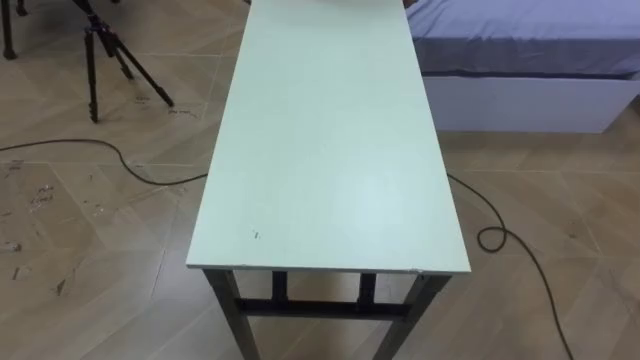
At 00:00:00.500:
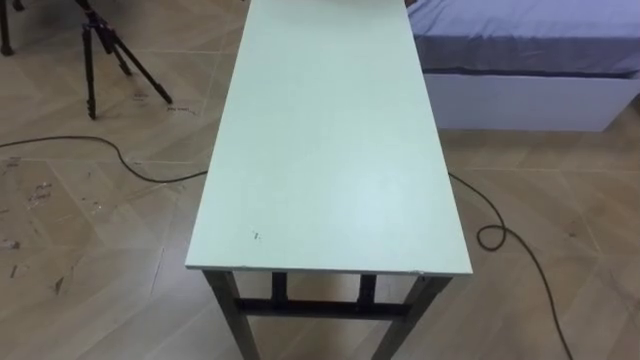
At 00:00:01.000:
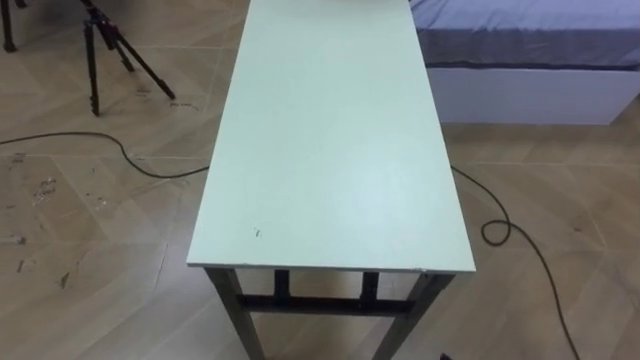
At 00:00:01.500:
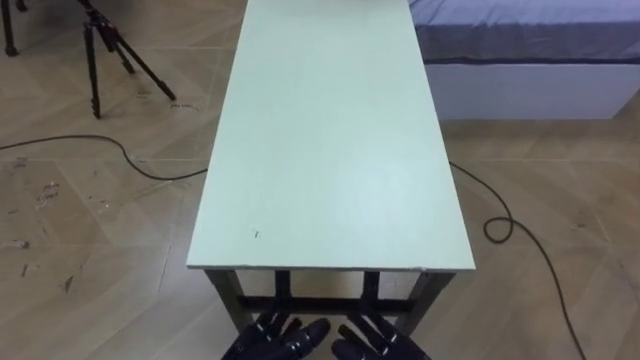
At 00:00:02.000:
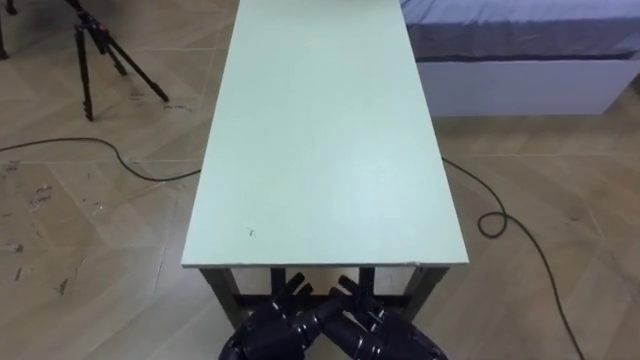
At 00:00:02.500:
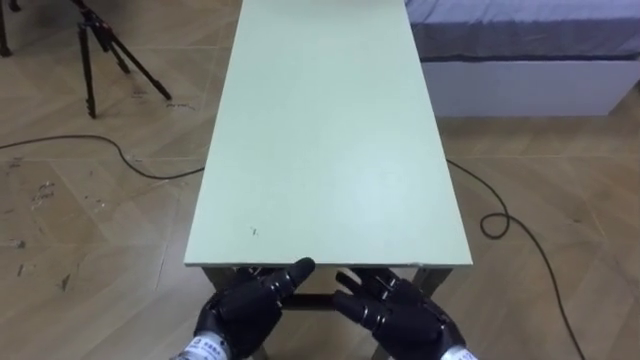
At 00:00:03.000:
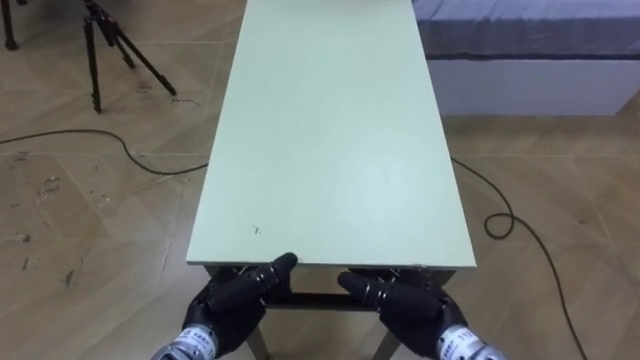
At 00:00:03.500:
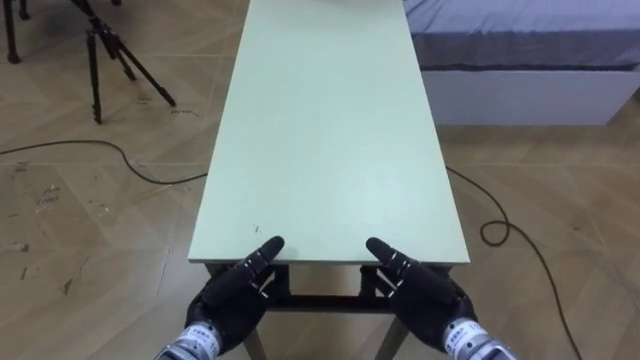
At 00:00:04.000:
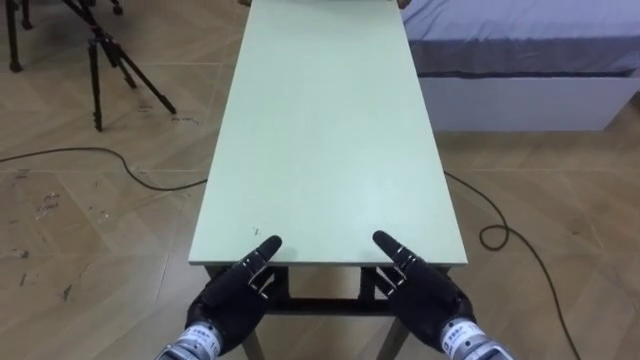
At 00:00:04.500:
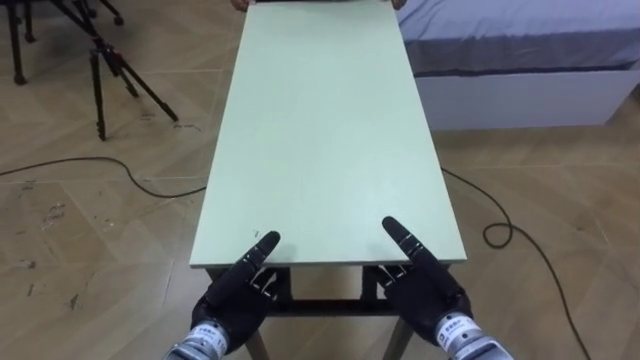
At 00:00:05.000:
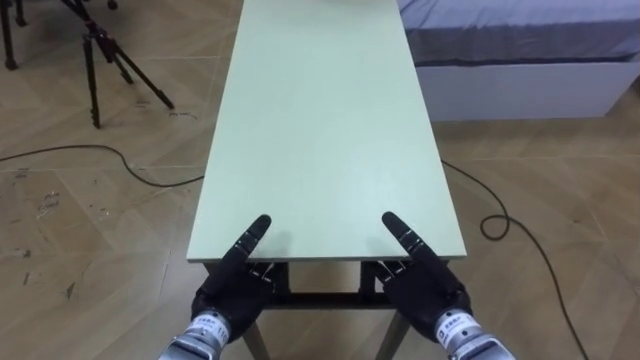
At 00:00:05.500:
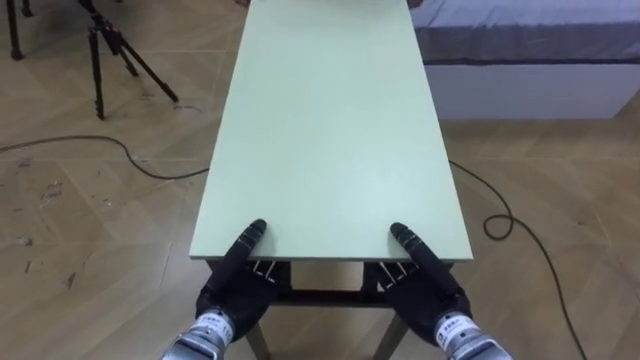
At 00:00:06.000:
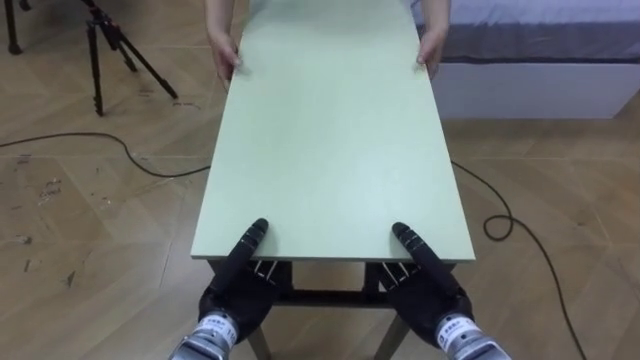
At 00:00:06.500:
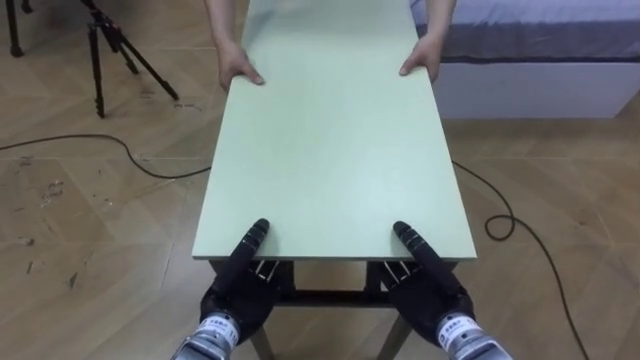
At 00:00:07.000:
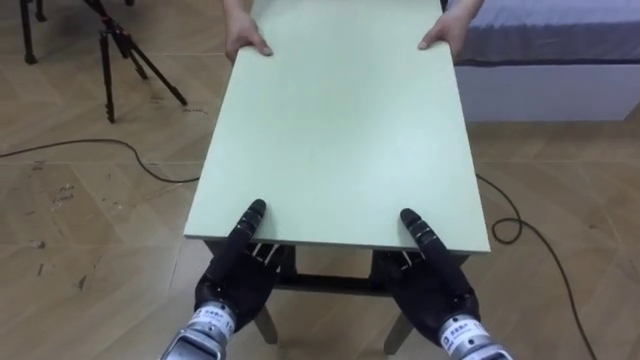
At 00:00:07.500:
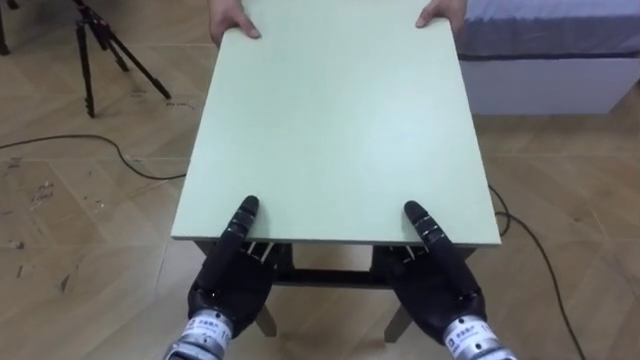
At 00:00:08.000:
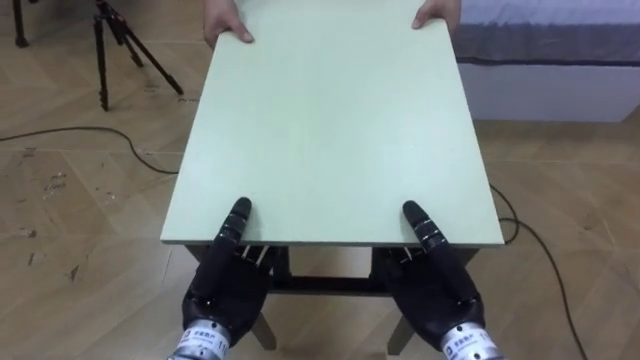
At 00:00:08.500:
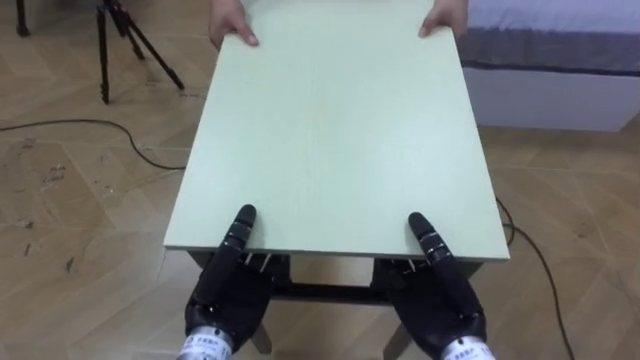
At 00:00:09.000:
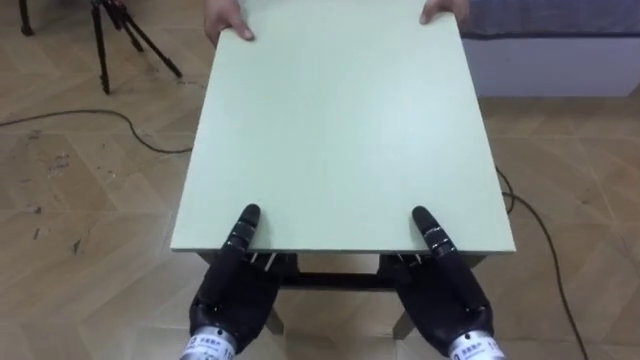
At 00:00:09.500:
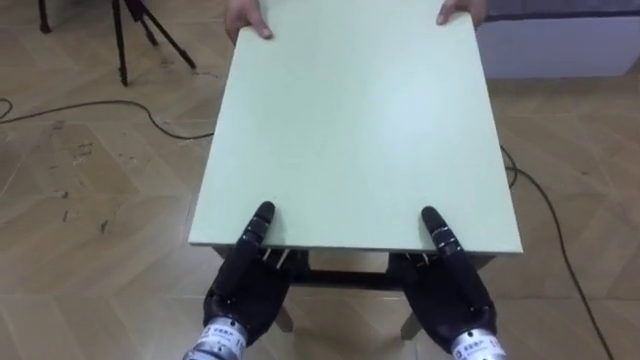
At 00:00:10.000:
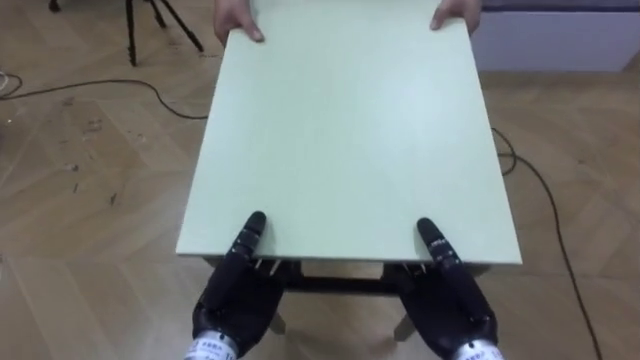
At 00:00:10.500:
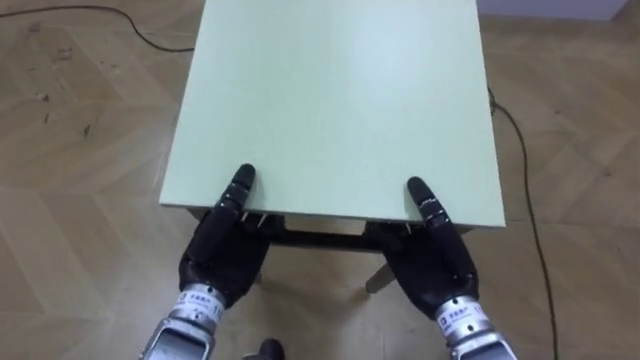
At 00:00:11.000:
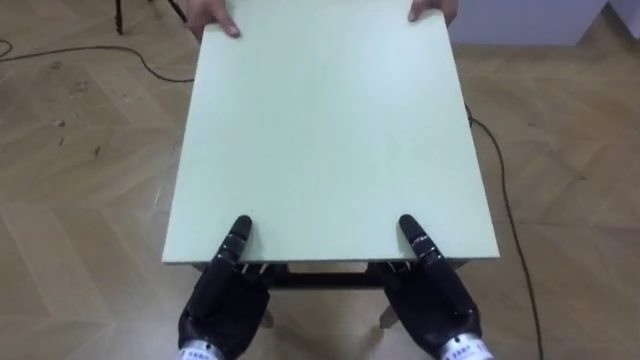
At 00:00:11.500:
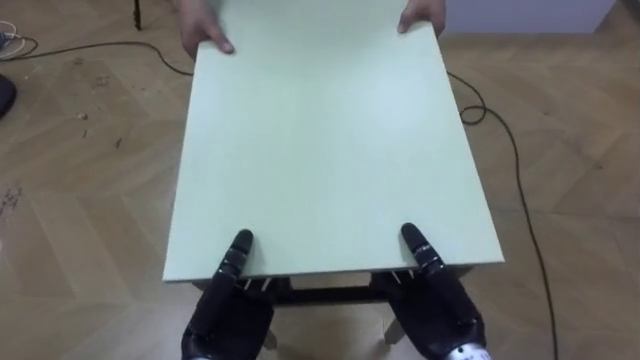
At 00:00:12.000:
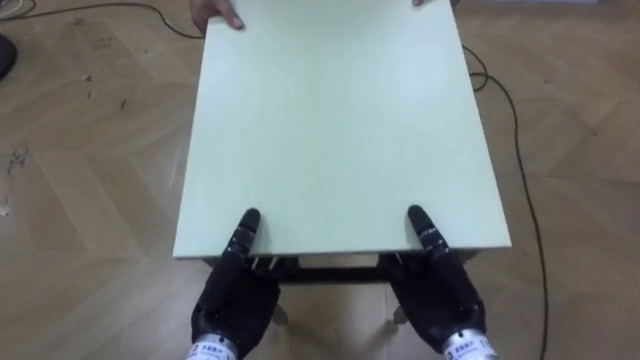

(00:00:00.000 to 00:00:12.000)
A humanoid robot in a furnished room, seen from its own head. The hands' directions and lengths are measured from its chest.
Task of the whole recording: Move the table to the back left with someone.
00:00:02.000 - 00:00:04.000: The right hand goes about 5 cm forward; the left hand is displaced forward and to the left by about 10 cm.
00:00:04.000 - 00:00:06.000: The left hand closes up, while the right hand closes up.
00:00:06.000 - 00:00:08.000: The two hands go about 5 cm upward.

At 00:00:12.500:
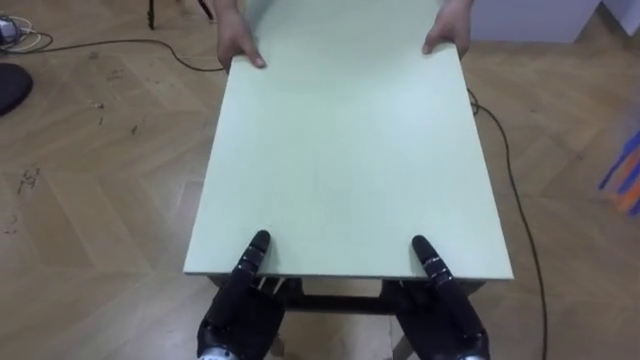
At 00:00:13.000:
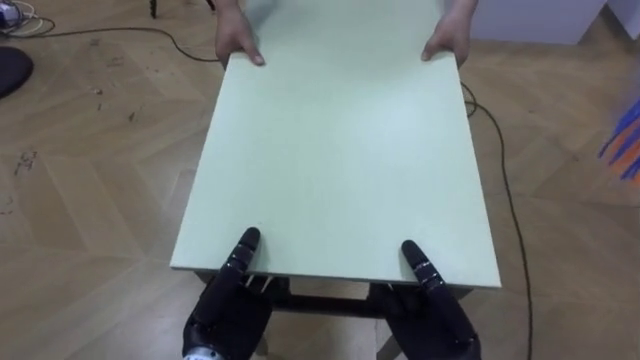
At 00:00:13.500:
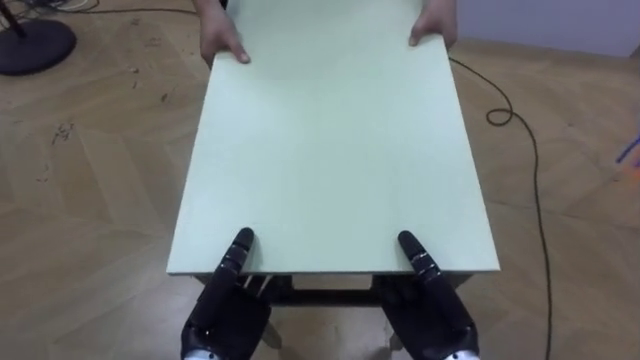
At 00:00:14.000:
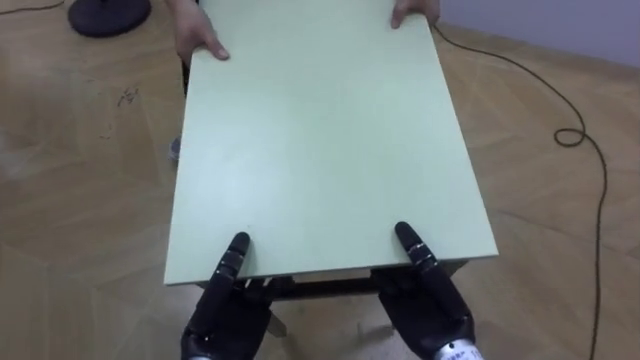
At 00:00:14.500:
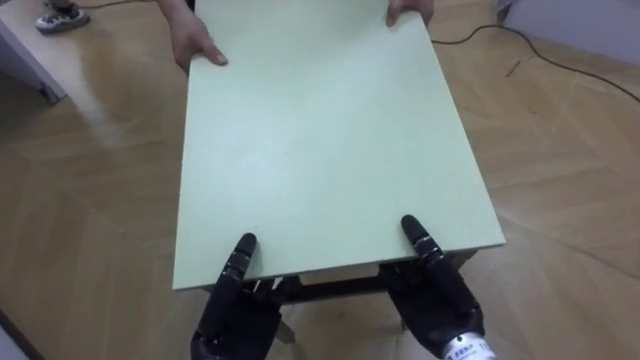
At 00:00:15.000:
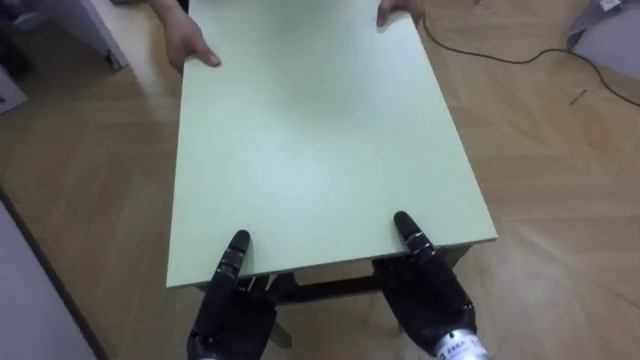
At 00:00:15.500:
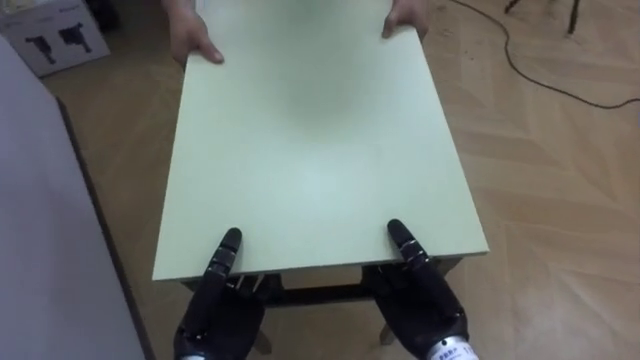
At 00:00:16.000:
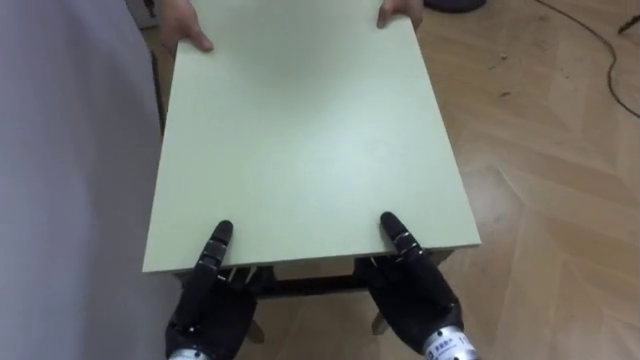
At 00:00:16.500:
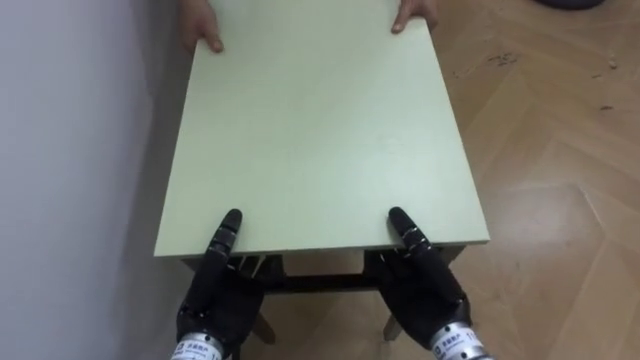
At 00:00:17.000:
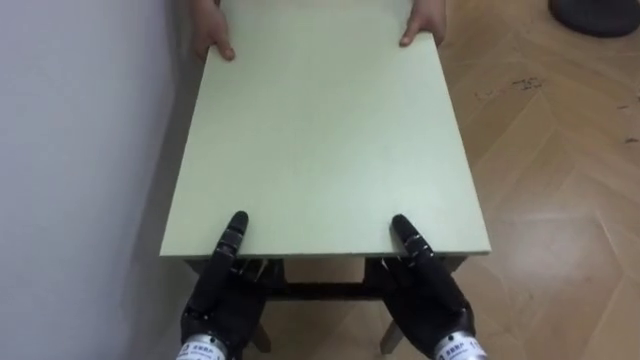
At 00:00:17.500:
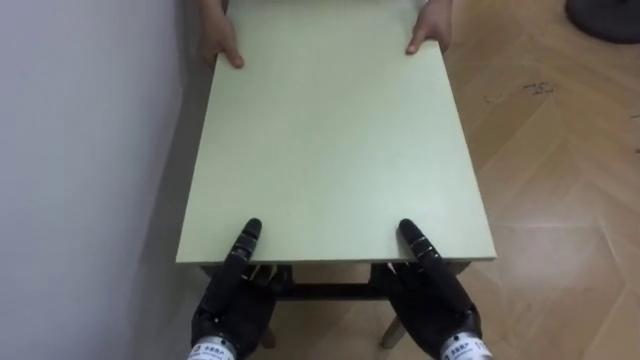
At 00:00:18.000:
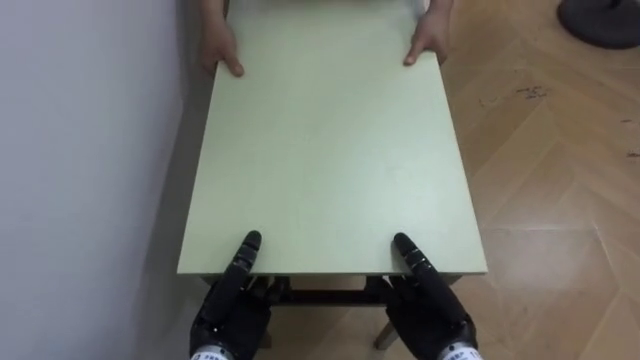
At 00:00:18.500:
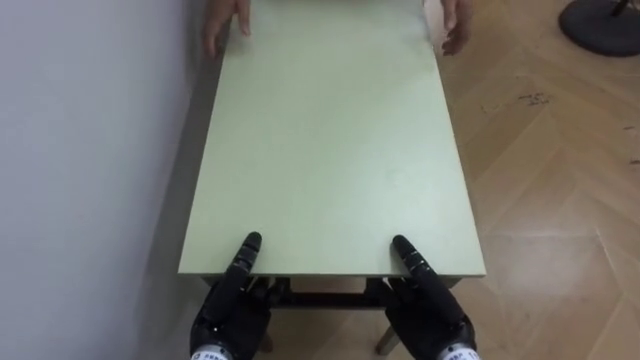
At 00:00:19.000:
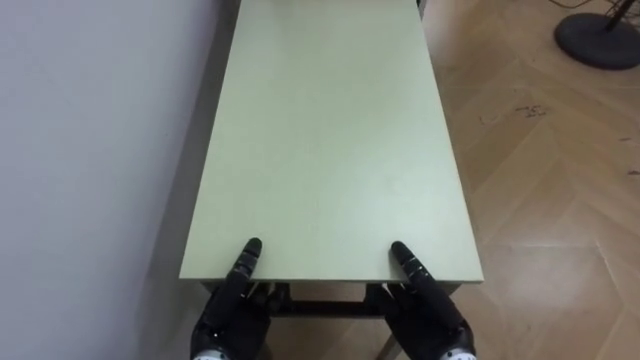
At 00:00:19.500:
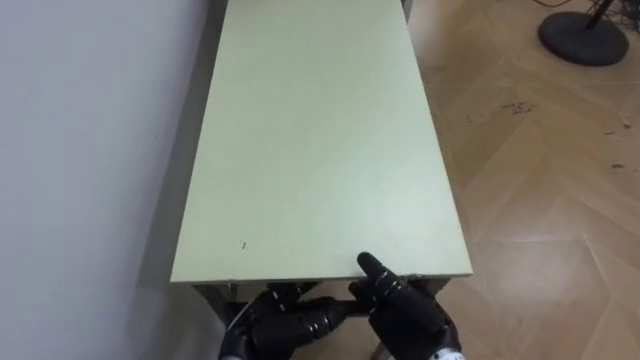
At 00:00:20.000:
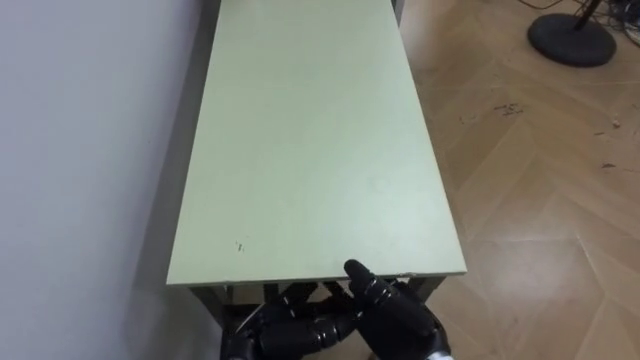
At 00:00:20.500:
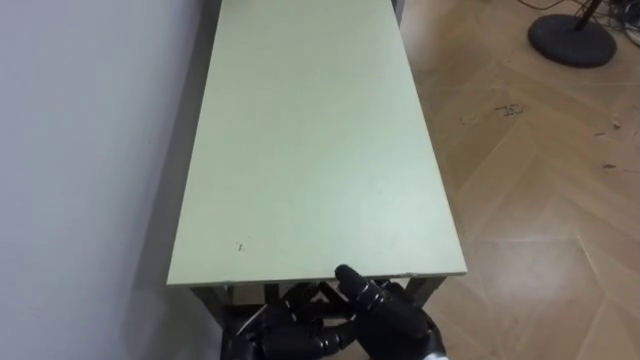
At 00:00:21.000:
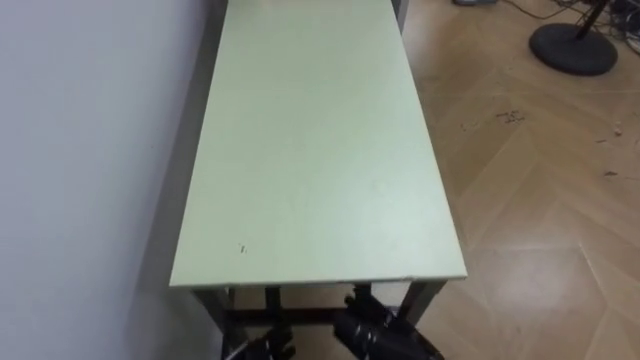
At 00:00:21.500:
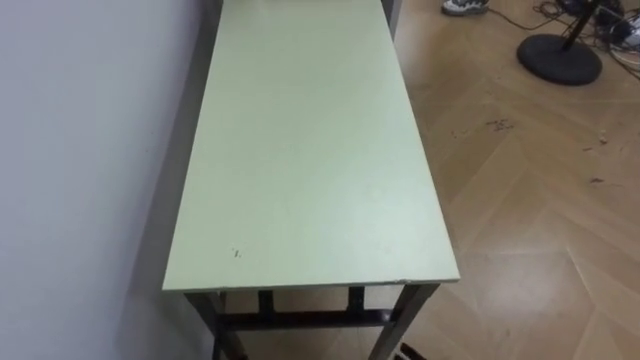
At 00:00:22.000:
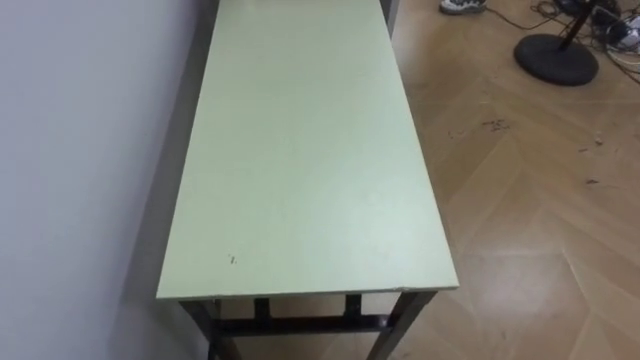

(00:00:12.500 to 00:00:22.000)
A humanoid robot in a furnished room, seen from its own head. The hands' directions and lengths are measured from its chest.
Task of the whole recording: Move the table to the back left with someone.
00:00:12.500 - 00:00:14.500: The robot's body swings roughly 25 degrees to its left.
00:00:14.500 - 00:00:16.500: The robot faces about 55 degrees further to its left.
00:00:18.000 - 00:00:20.000: The left hand moves about 5 cm, and opens its fingers, while the right hand opens.
